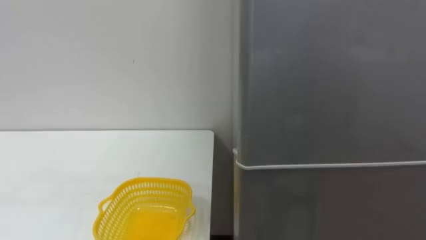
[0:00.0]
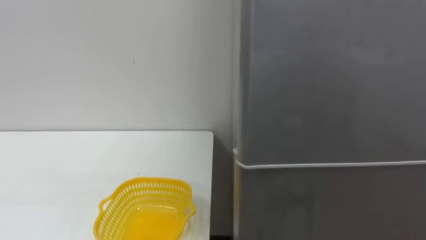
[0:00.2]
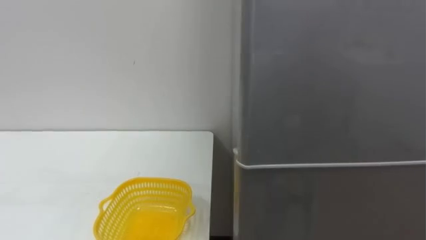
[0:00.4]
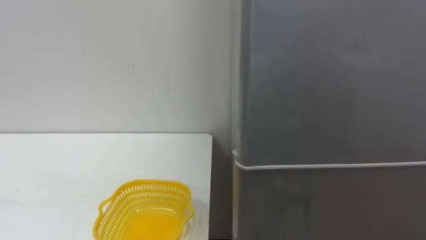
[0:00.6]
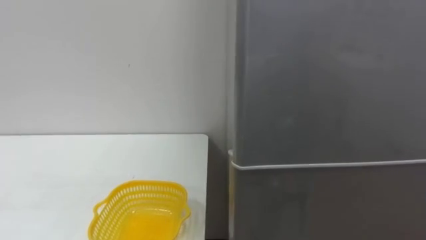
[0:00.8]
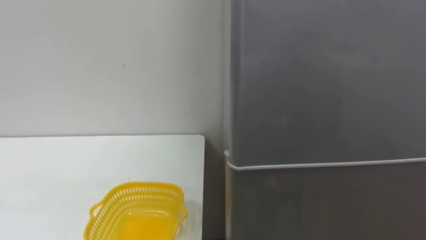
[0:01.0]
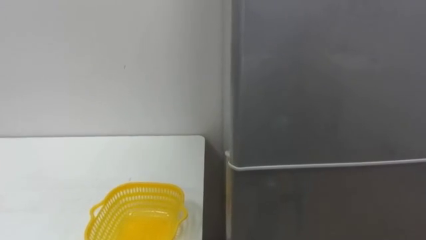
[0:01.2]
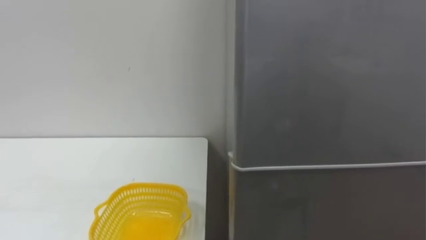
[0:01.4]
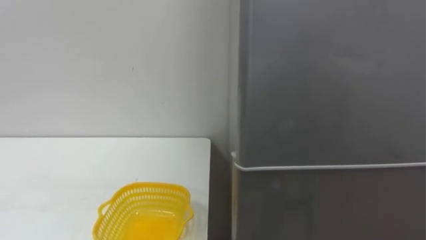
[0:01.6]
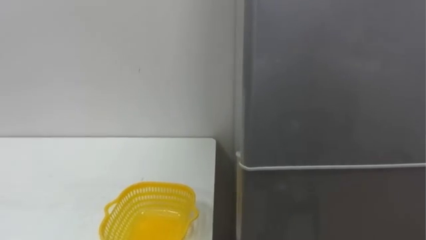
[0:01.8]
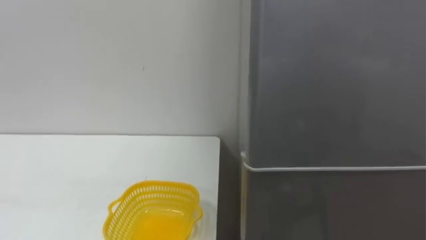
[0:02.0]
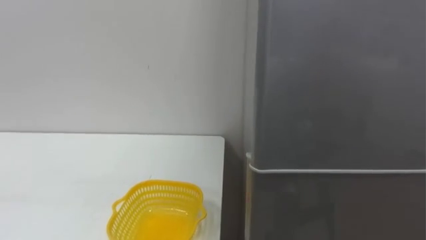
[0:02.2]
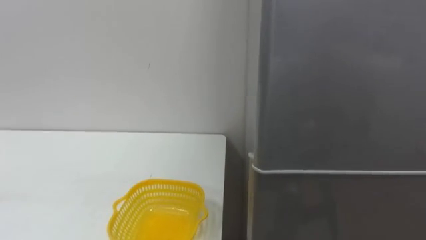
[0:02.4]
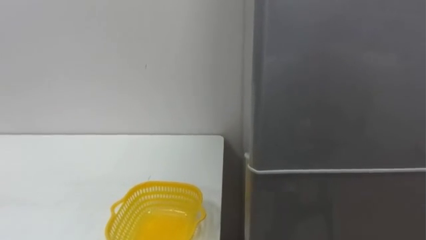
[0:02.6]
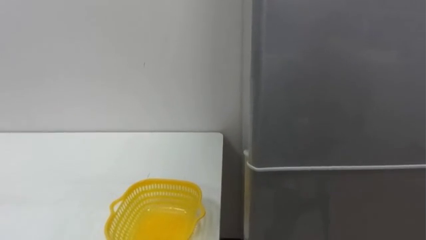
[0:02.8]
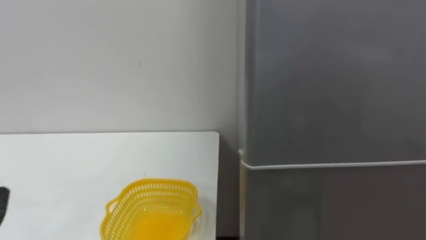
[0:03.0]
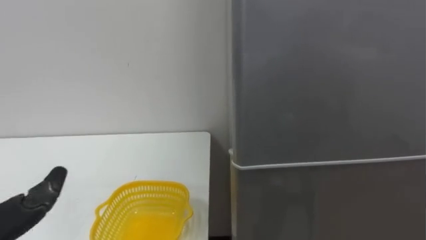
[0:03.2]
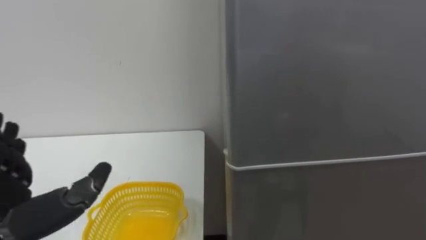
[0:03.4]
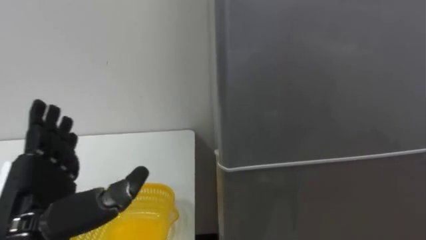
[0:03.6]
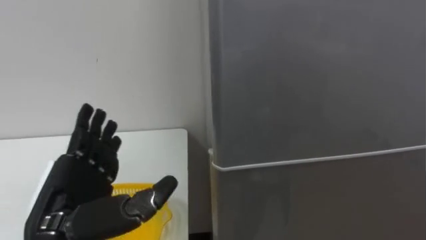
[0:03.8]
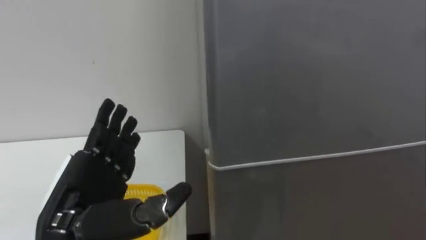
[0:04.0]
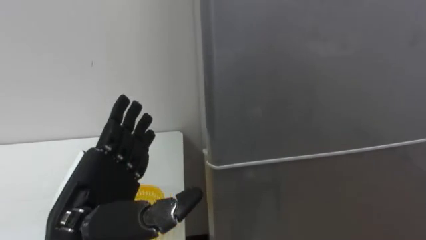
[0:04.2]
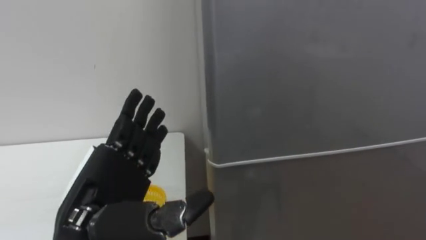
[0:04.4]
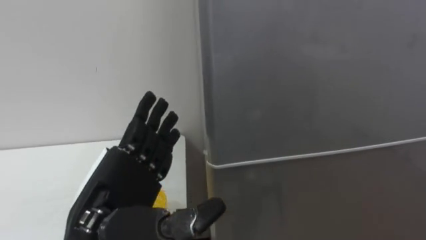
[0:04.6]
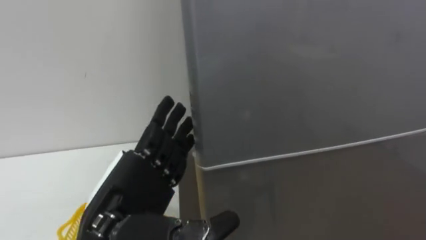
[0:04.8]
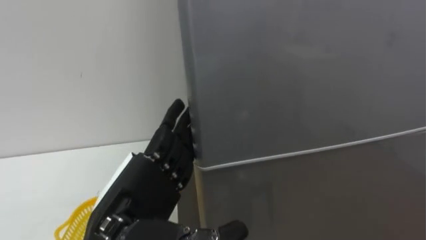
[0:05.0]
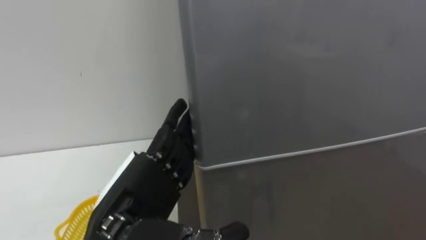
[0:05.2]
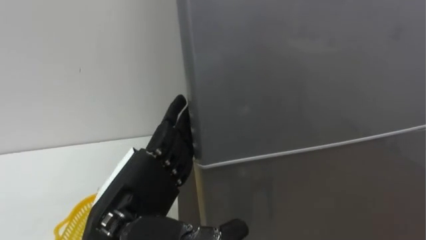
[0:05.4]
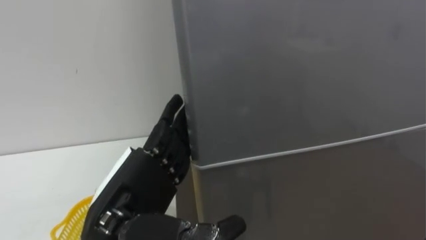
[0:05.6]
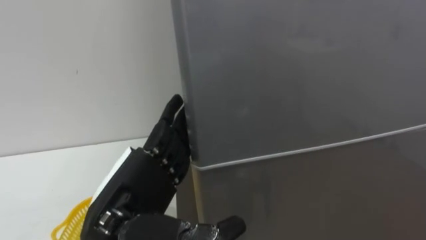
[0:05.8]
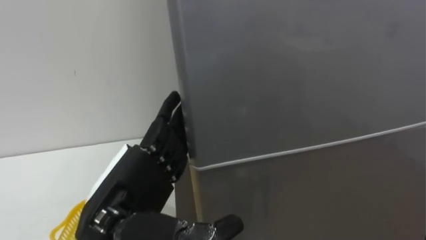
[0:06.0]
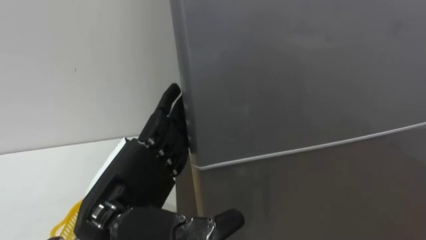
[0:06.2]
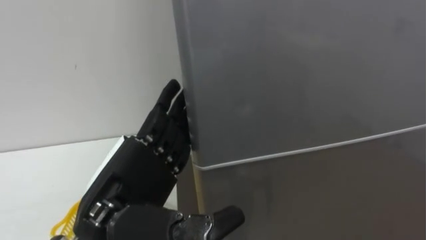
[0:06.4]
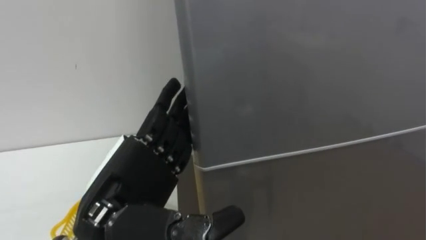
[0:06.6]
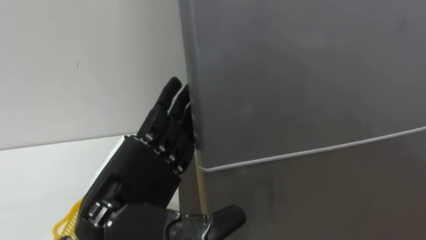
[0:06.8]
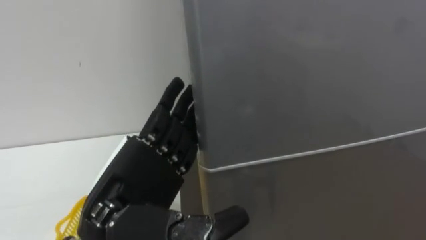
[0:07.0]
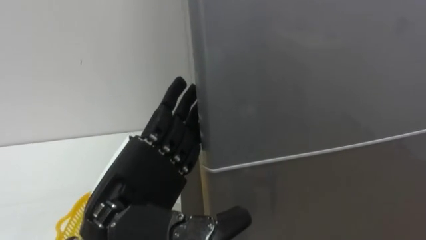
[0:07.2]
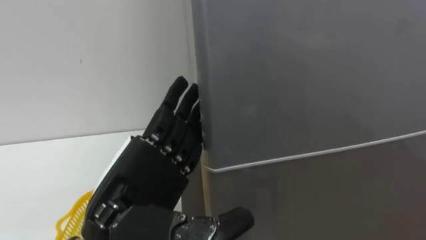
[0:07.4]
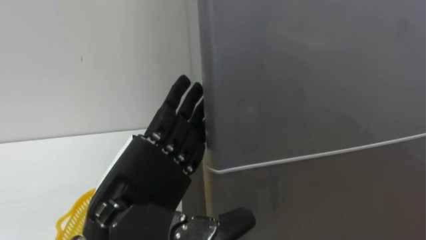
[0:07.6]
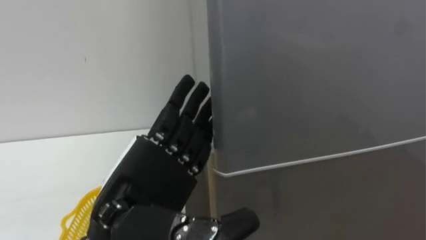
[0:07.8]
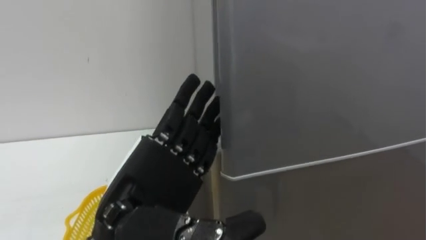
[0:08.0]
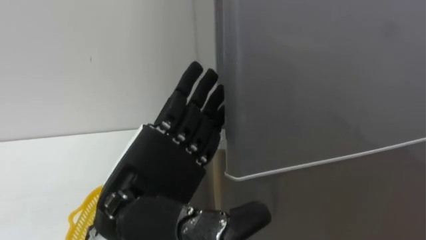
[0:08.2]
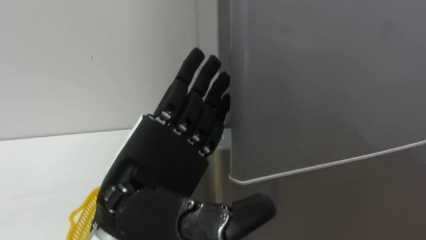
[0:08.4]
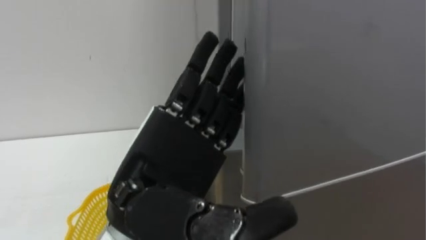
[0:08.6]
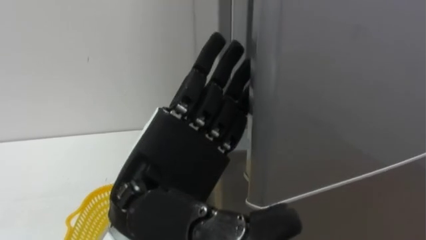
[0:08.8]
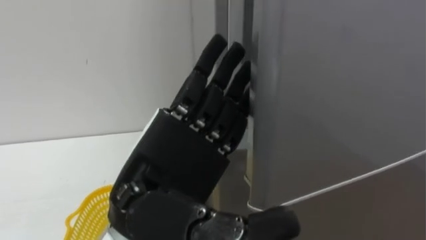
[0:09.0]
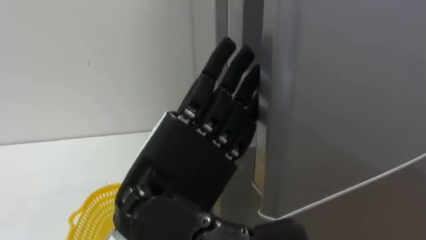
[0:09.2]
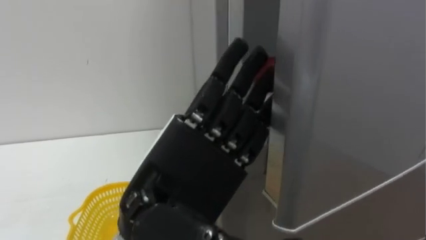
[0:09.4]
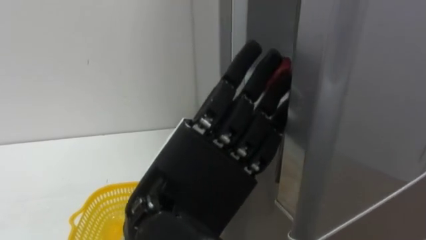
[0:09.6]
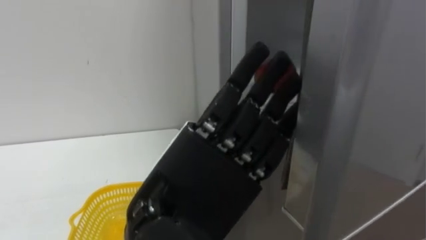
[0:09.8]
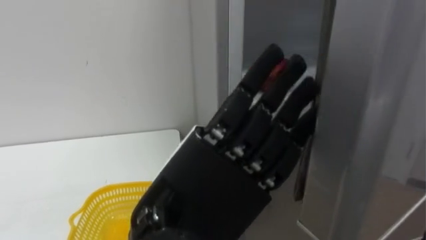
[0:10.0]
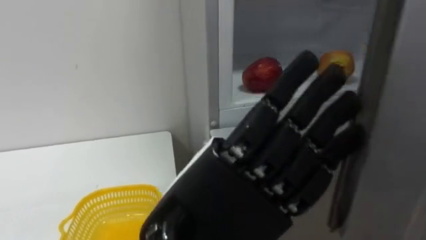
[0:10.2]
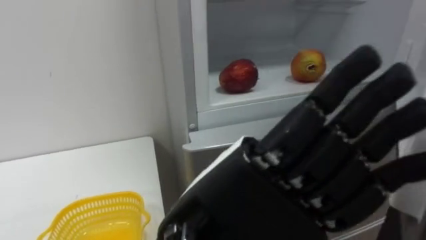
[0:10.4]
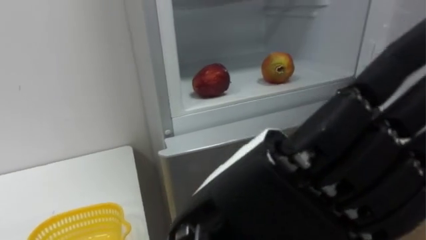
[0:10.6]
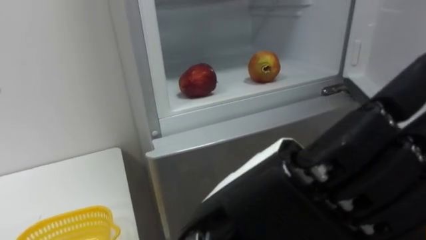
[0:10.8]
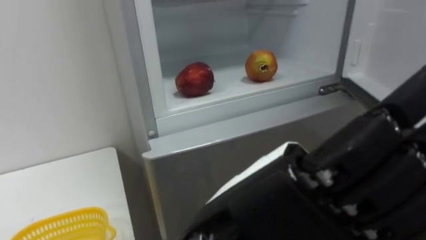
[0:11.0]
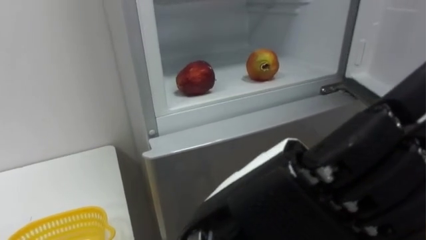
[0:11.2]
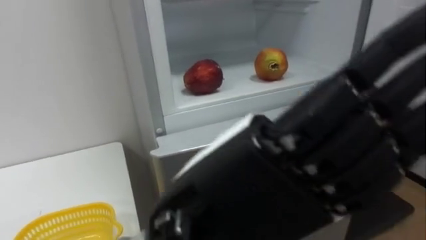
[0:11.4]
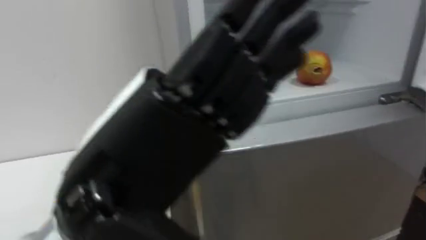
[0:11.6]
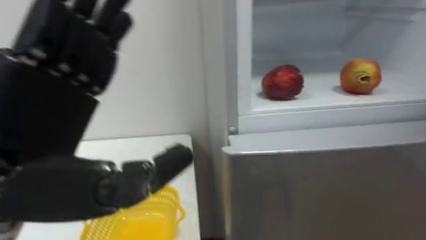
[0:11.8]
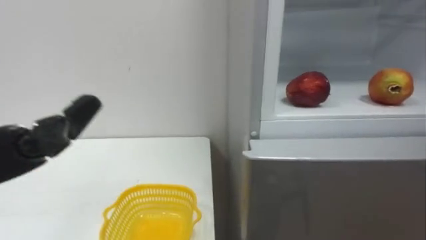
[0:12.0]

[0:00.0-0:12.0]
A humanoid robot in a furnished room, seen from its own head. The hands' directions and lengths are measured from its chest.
Task of the whole recording: Open the refrigerator door, take out the apple and the pomegranate, place them in the fruit basket on the left, and close the refrigerator door.
0:07.6 to 0:09.0: The left hand changes place by about 5 cm.
0:09.0 to 0:10.4: The left hand shifts approximately 10 cm backward and to the right.

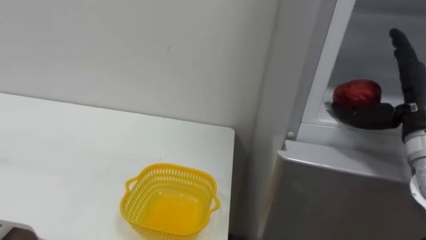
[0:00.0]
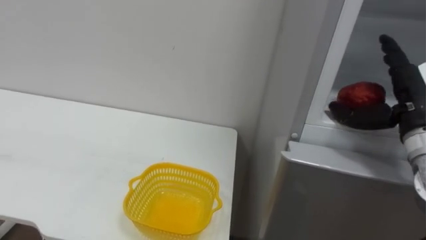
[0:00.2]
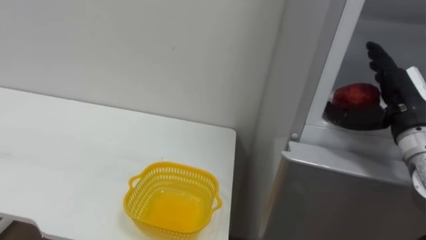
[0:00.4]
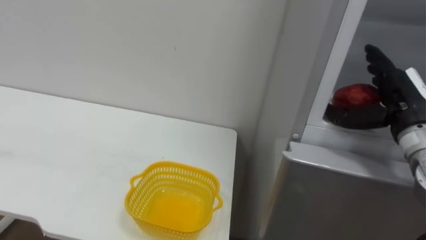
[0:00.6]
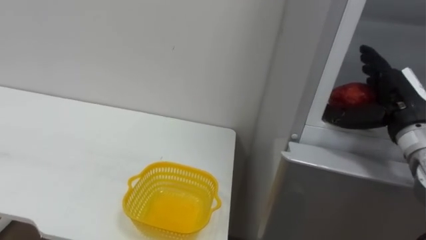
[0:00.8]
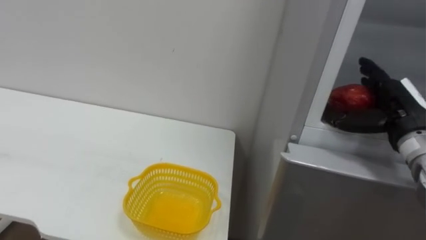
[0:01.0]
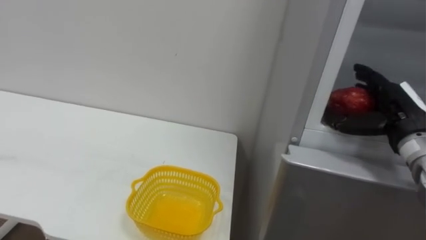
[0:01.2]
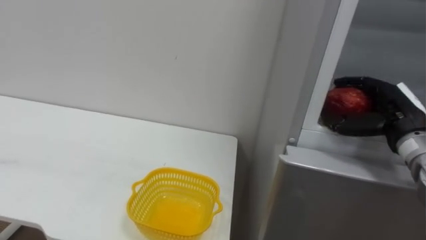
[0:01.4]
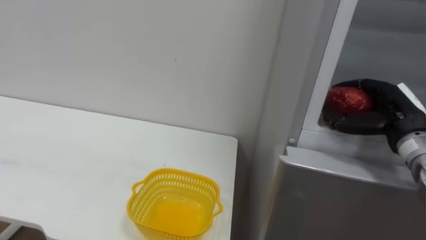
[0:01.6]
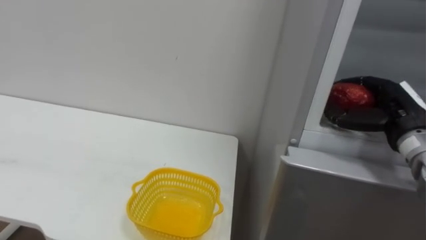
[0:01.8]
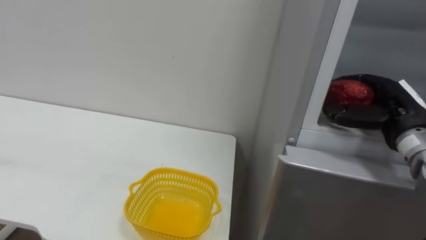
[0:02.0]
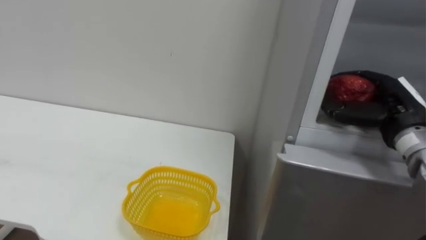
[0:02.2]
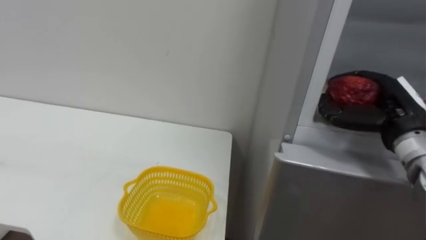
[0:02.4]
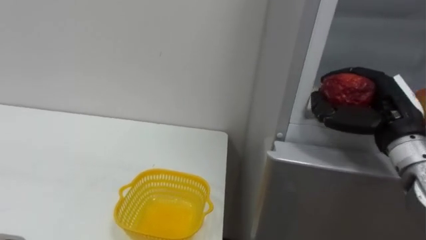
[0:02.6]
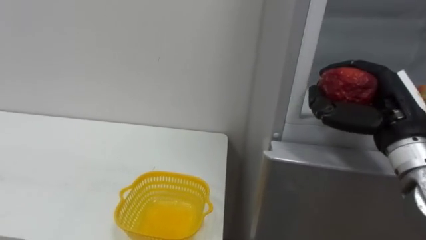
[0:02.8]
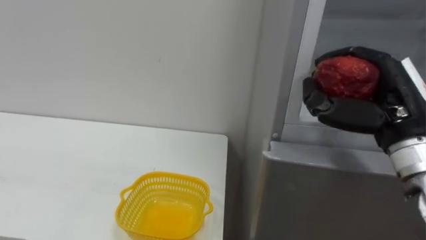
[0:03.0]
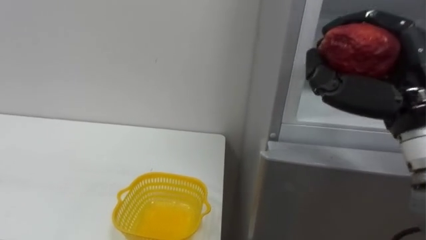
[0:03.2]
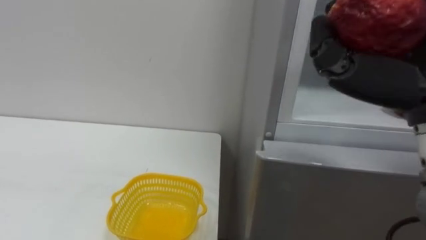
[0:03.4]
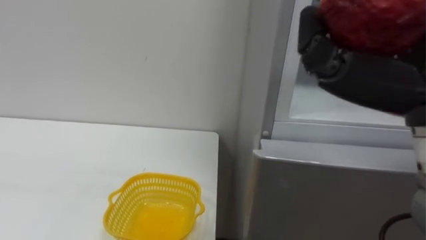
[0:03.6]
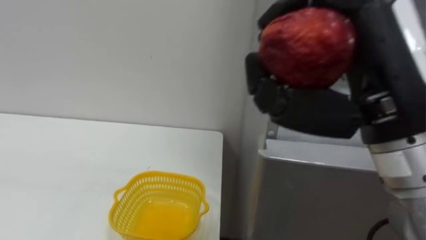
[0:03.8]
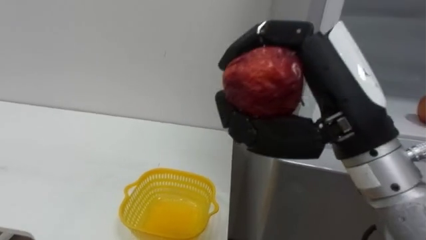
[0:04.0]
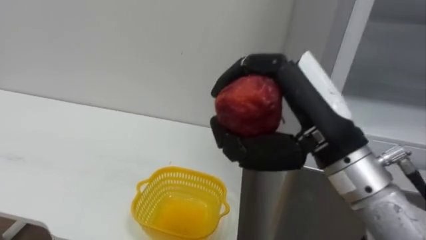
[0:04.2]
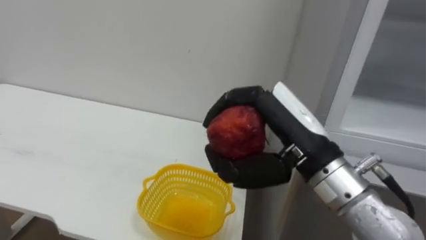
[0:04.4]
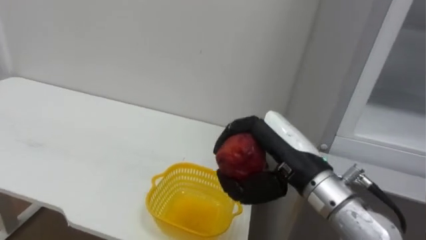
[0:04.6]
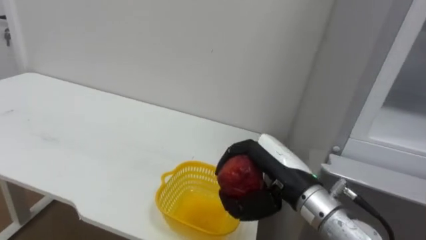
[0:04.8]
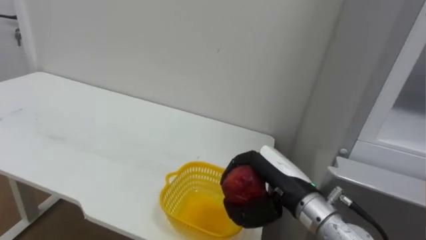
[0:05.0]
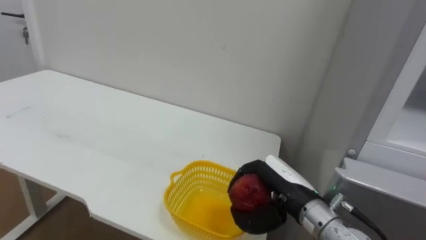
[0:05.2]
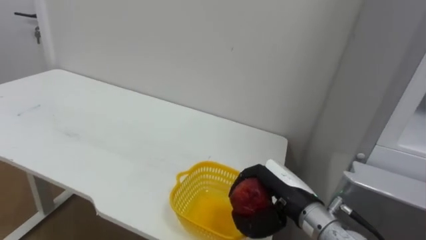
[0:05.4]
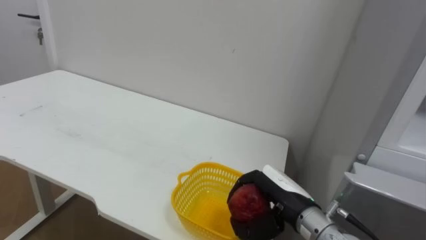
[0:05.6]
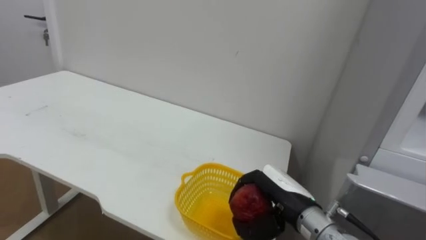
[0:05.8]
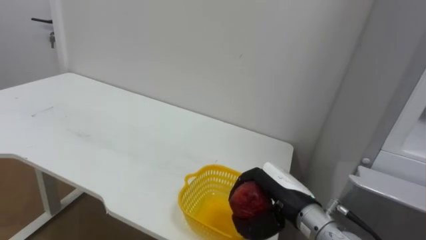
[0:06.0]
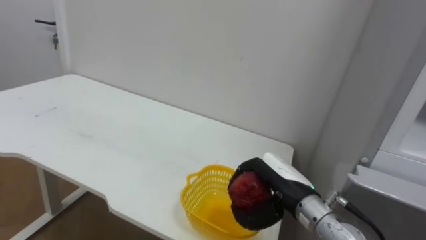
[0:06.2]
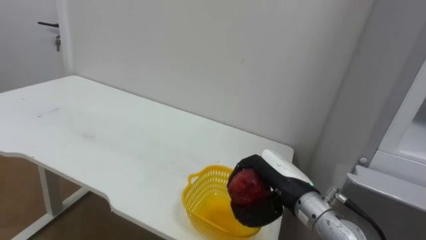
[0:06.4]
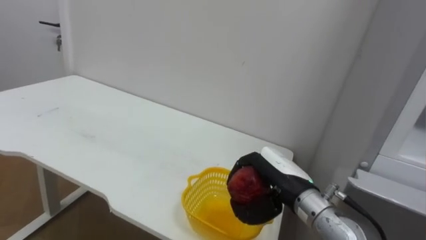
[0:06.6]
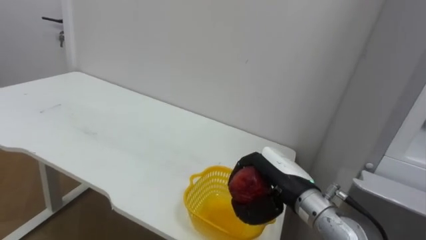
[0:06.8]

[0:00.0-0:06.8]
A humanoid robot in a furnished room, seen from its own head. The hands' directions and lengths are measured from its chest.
Task of the whole recording: Open the refrigerator door, take out the apple and the pomegranate, place them in the fruit basket on the left, and close the refrigerator door.
0:00.0 to 0:01.4: The right hand ends up about 5 cm from where it was, and closes up.
0:01.4 to 0:02.8: The right hand changes place by roughly 10 cm, and closes.
0:02.8 to 0:04.0: The right hand is displaced to the left, backward and upward by approximately 20 cm.
0:04.0 to 0:05.4: The right hand travels downward and forward by about 25 cm.
